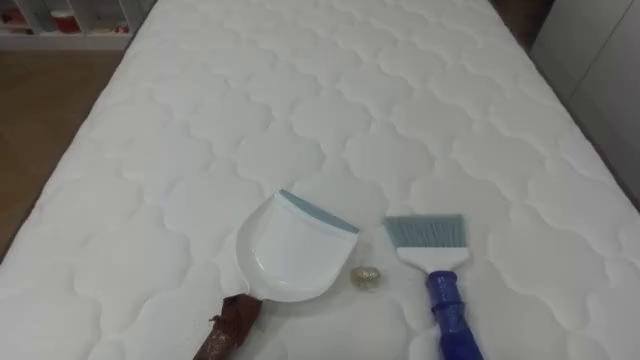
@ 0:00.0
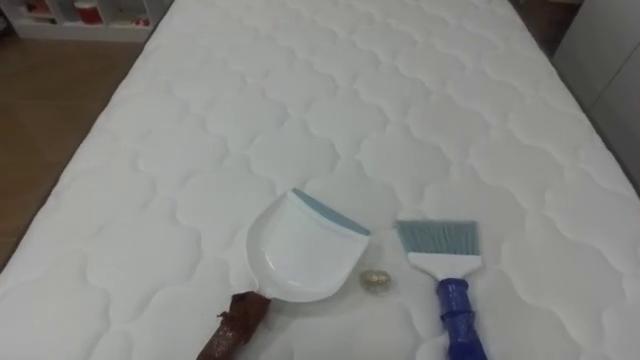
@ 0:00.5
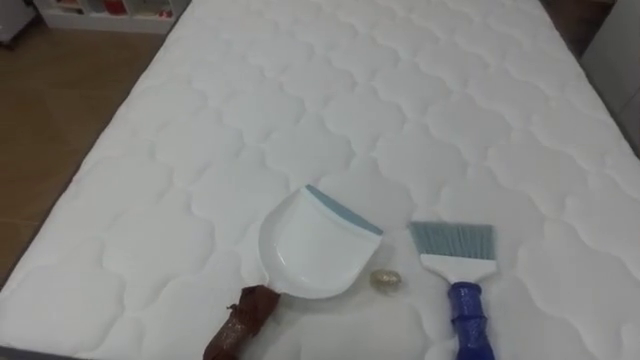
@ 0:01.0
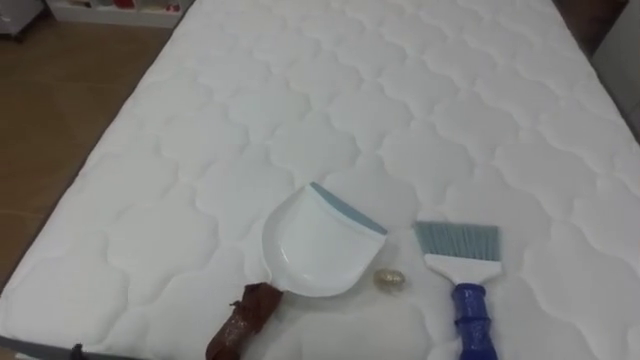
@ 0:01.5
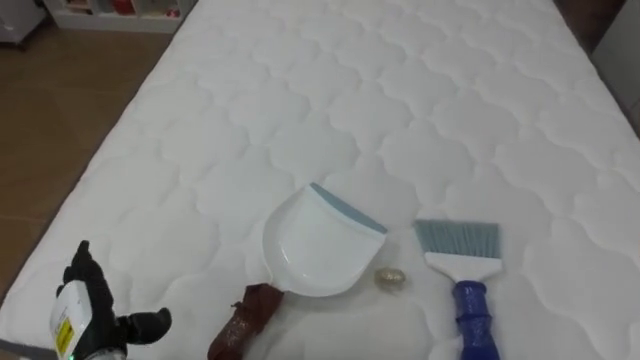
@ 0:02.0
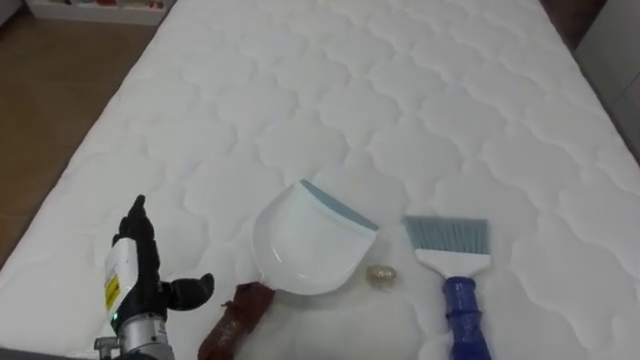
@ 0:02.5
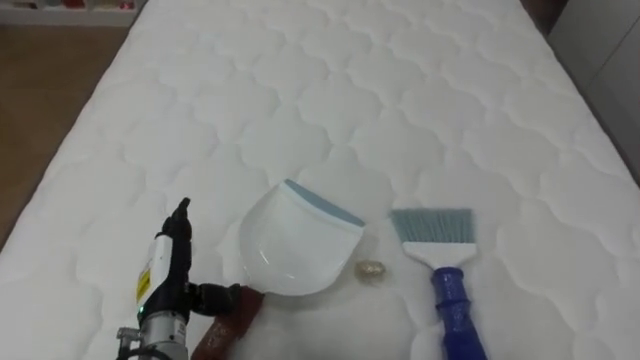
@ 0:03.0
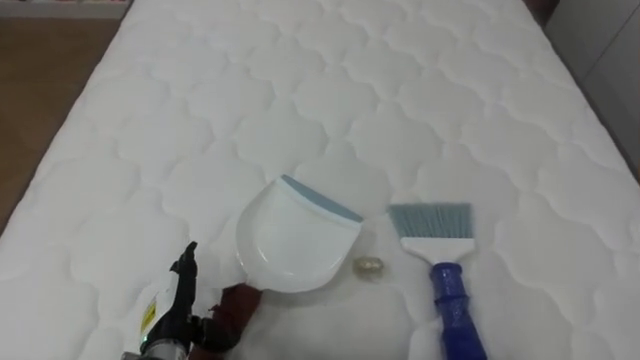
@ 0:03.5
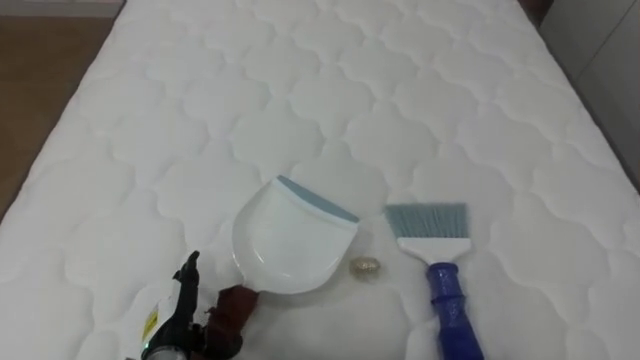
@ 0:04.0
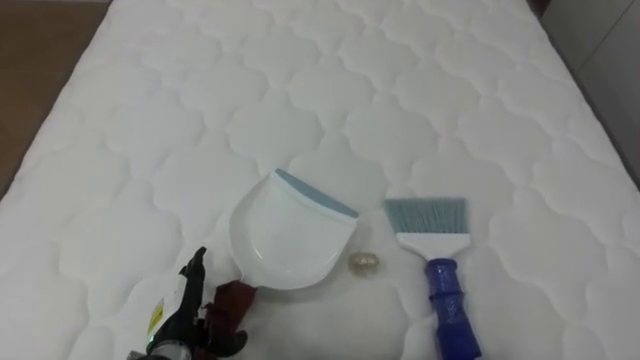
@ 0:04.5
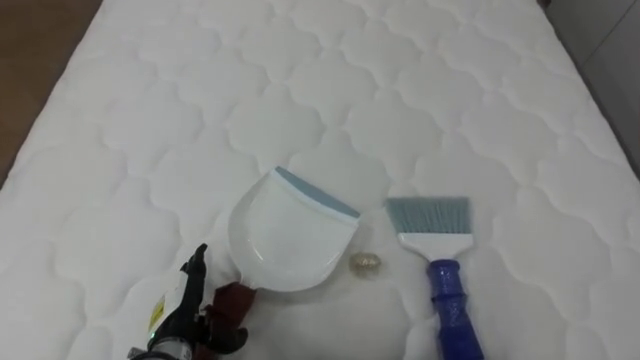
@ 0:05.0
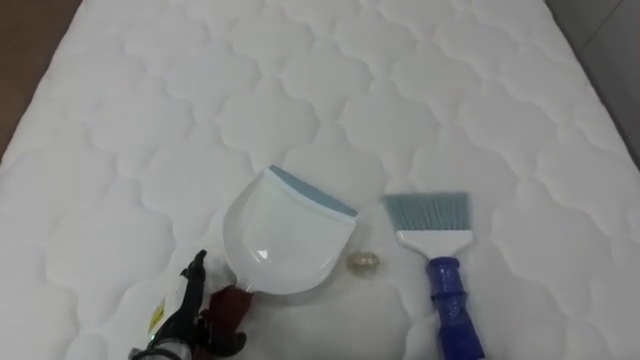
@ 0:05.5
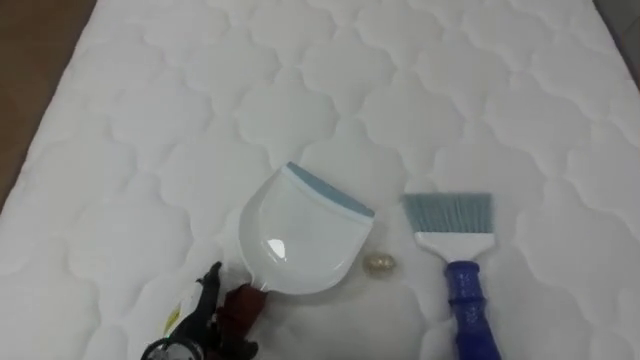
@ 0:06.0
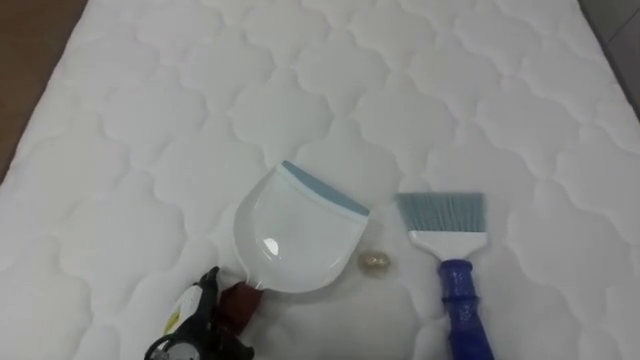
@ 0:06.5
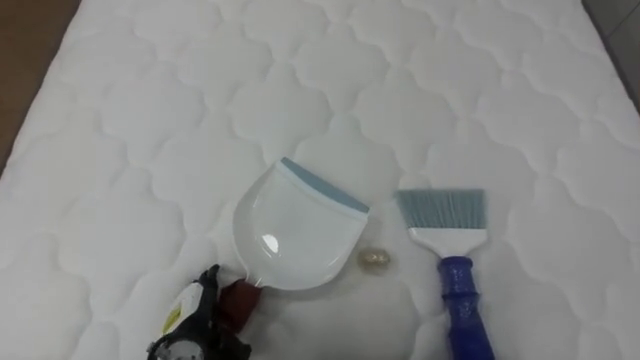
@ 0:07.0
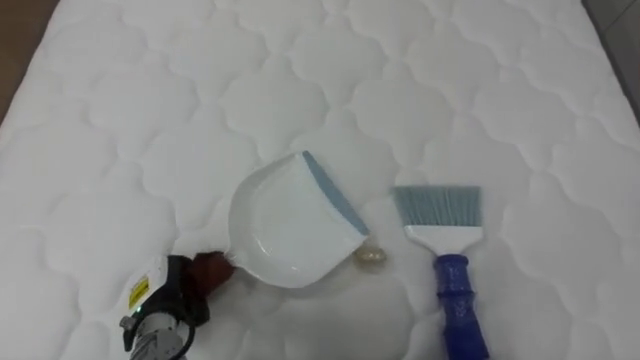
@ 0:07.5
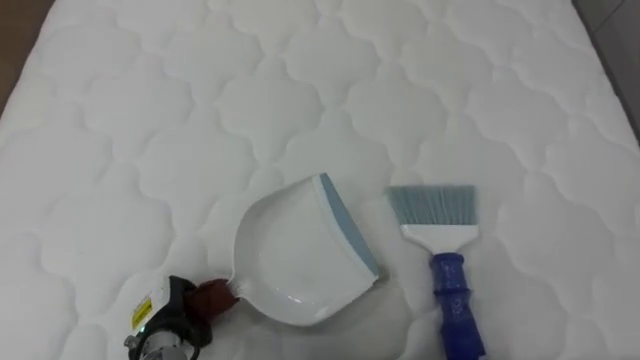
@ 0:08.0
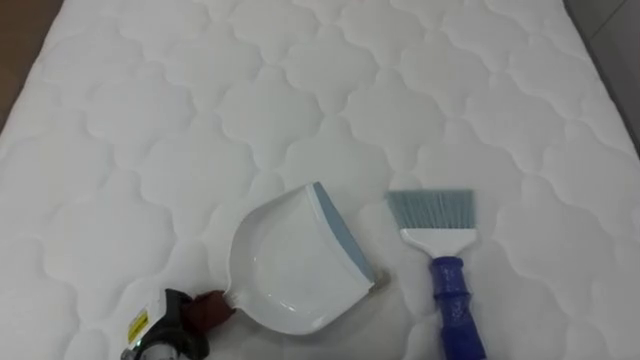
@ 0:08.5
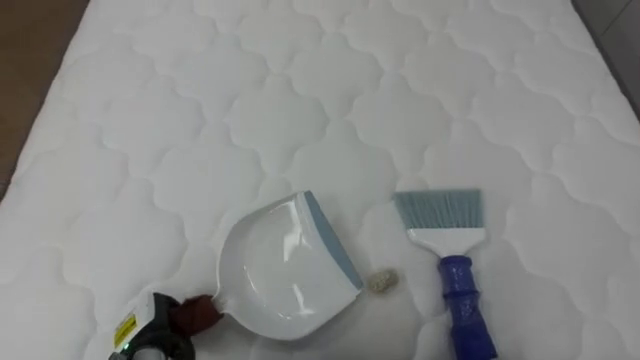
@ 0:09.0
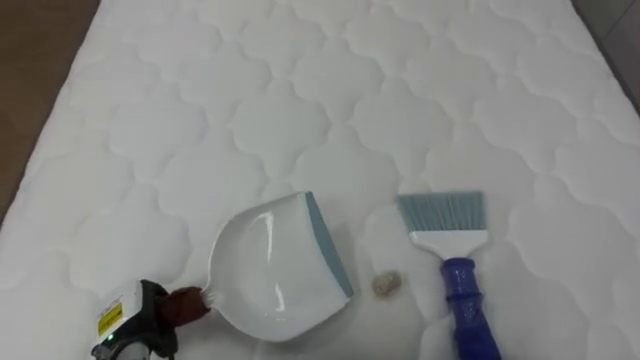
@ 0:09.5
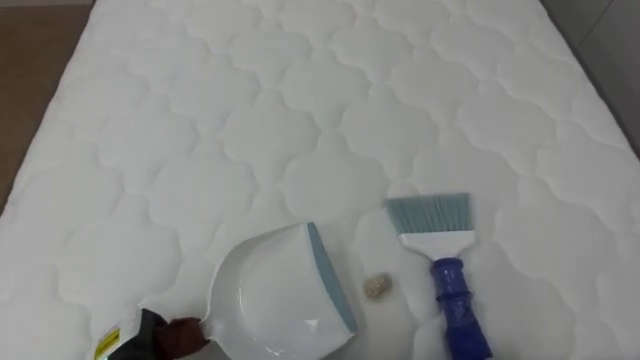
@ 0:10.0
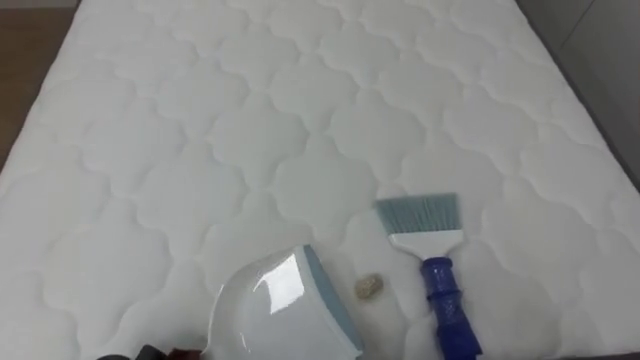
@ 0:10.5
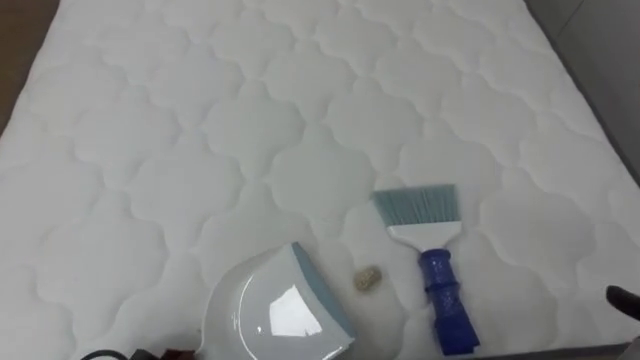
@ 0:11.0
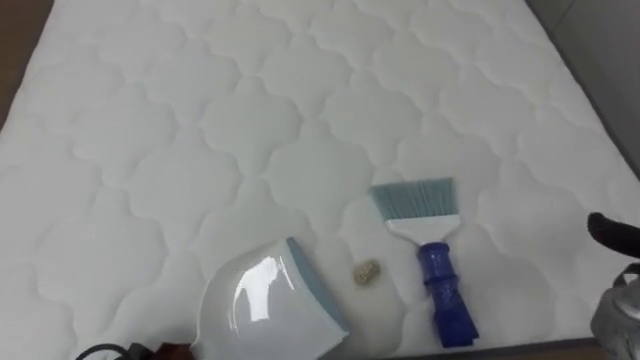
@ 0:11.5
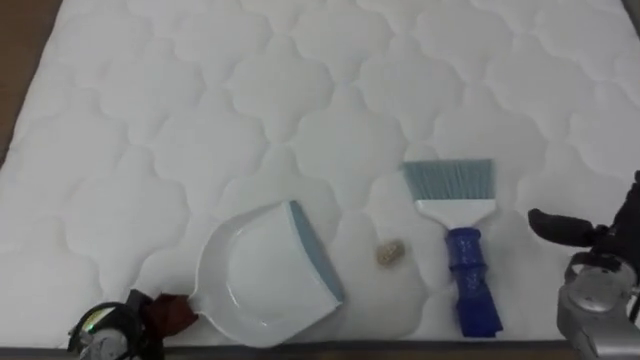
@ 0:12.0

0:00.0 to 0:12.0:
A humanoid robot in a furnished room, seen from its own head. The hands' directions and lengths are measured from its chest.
Task of the whole recording: Pick up the brush on your right and the dustpan on your left. Use the brush to sweep the crumpled paper on the bed into the dustpan, then turn left and empty it into the basket.
0:02.0 to 0:04.0: The left hand is displaced to the right by roughly 10 cm.
0:06.0 to 0:08.0: The left hand closes up.
0:08.0 to 0:10.0: The left hand shifts by about 5 cm.

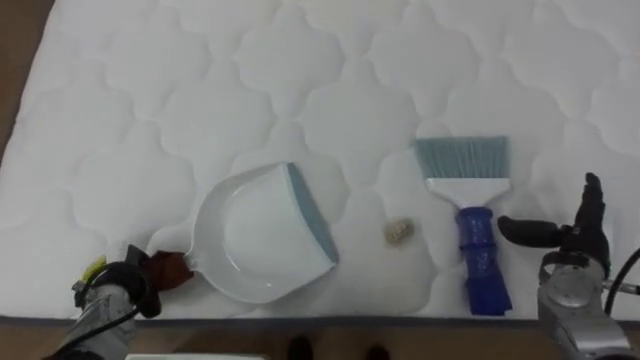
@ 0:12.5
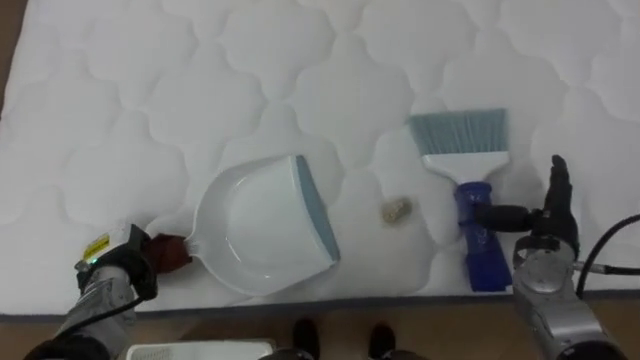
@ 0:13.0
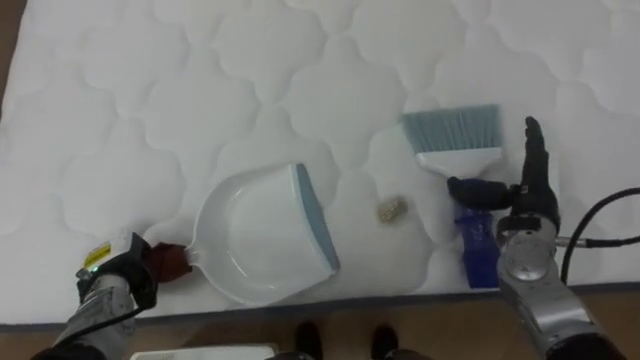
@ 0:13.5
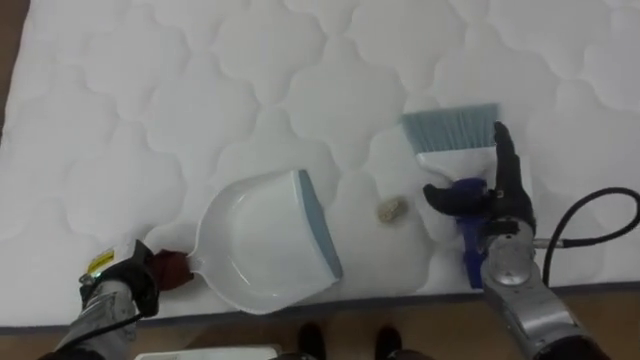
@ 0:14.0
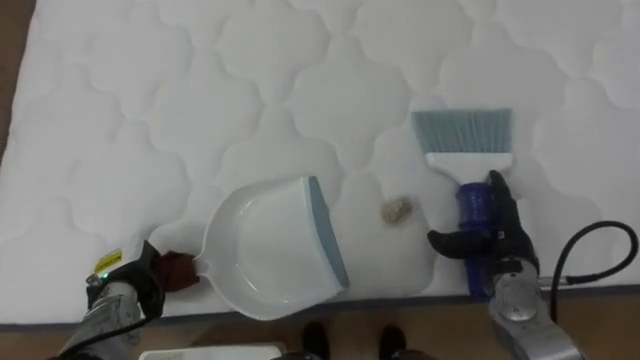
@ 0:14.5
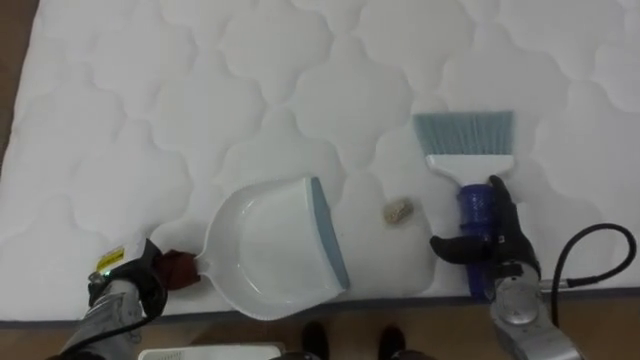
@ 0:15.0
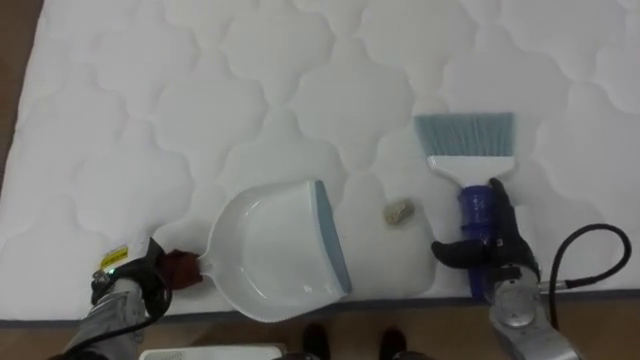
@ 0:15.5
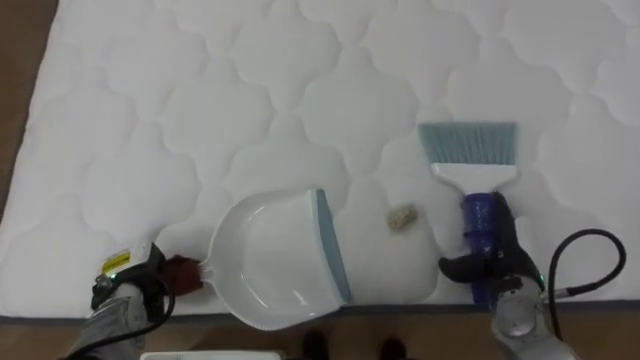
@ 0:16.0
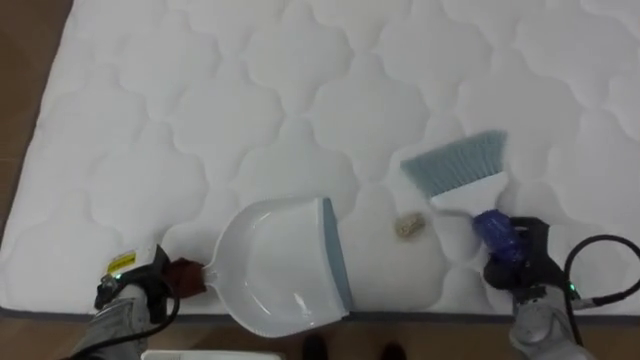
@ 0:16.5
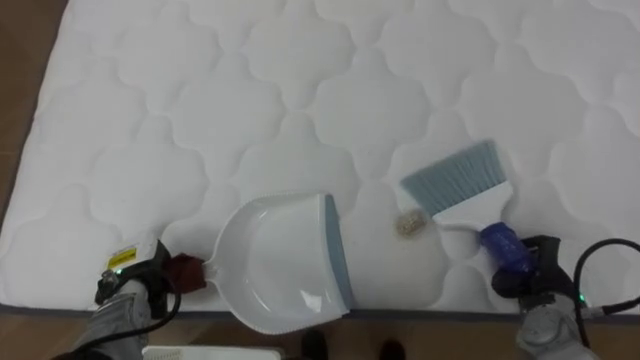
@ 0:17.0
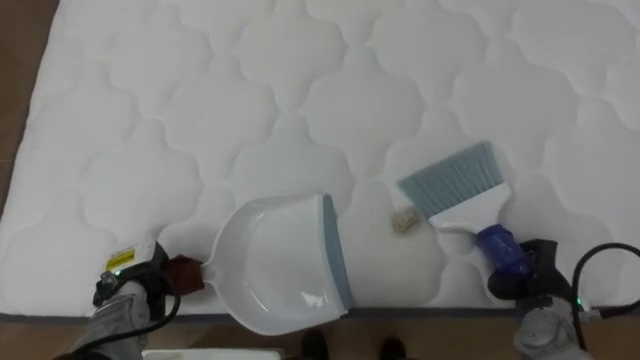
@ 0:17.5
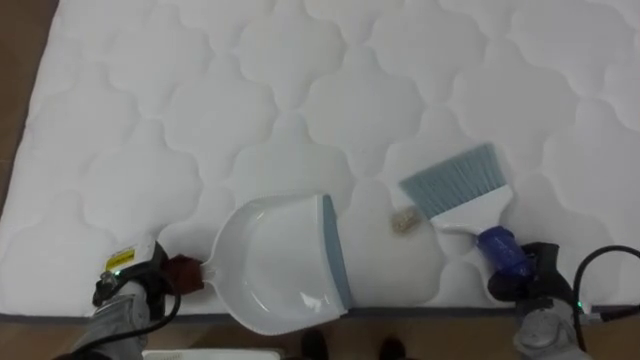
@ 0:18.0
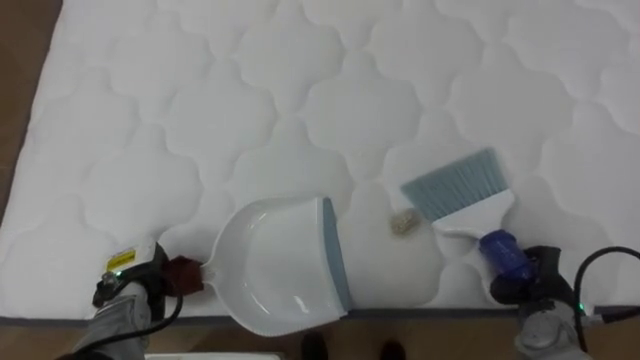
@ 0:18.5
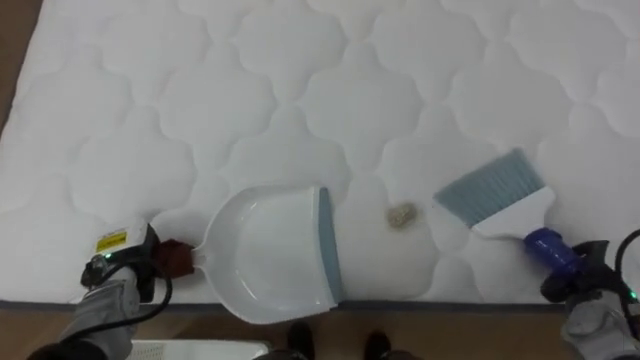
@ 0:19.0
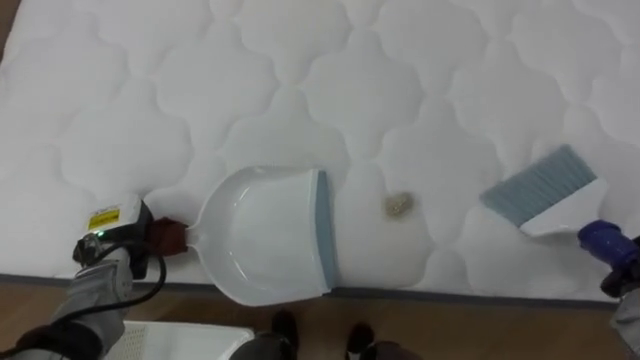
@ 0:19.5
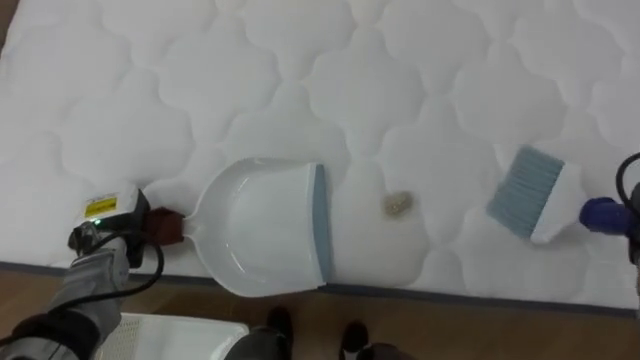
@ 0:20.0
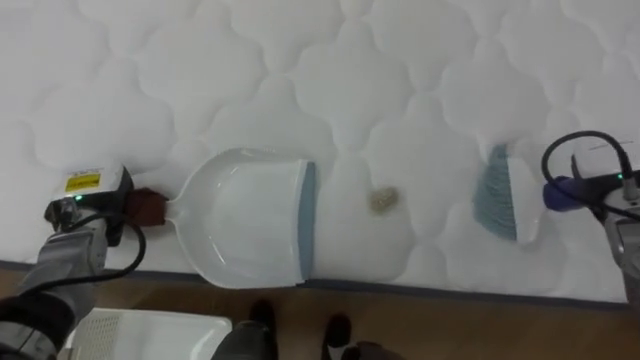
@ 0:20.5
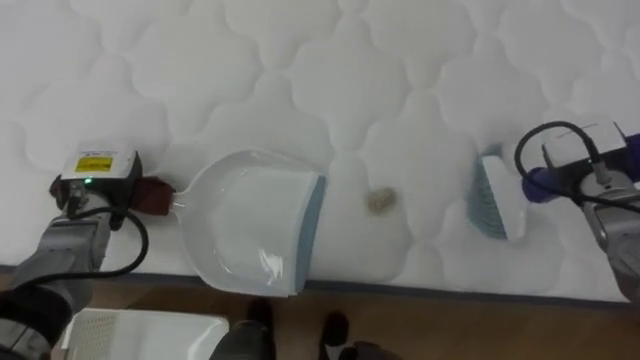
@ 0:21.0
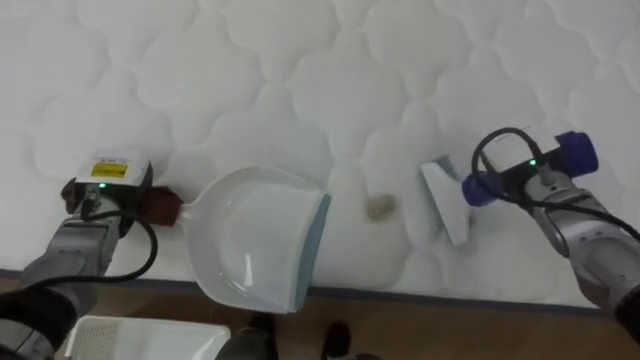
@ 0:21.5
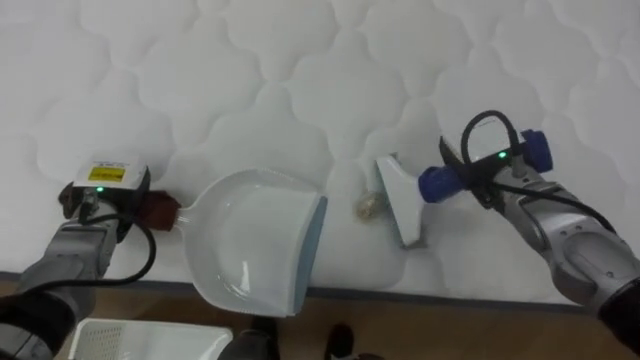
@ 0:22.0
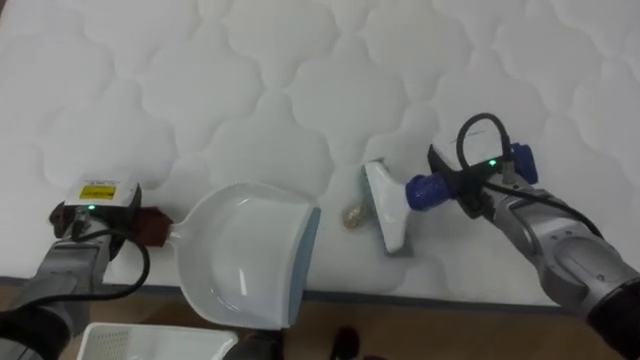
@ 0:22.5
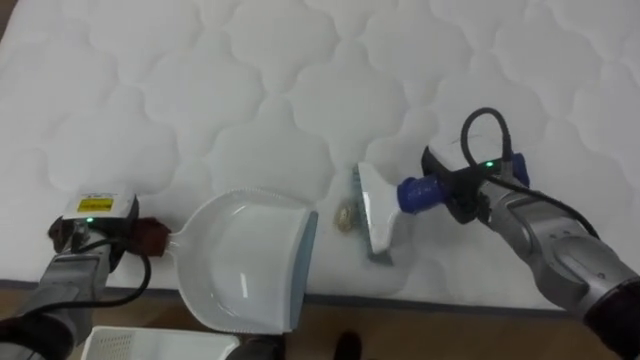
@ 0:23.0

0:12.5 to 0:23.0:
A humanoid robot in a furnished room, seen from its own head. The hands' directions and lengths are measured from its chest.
Task of the whole recording: Pick up the brush on your right and the dustpan on your left. Use the brush to sweep the crumpled paper on the bed into the dustpan, then turn left and empty it into the basket.
0:12.5 to 0:14.5: The right hand goes roughly 10 cm to the left.
0:14.5 to 0:16.5: The right hand travels to the right by about 5 cm, and closes its fingers.
0:16.5 to 0:19.0: The right hand goes roughly 5 cm to the right, and closes.
0:19.0 to 0:21.0: The left hand heads upward and forward, covering about 10 cm.
0:21.0 to 0:23.0: The left hand moves some 5 cm. Meanwhile the right hand moves to the left, about 15 cm.
